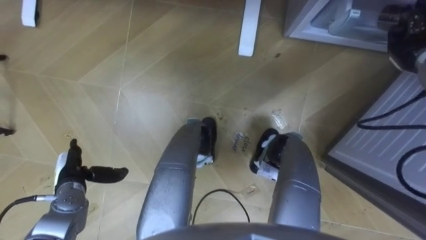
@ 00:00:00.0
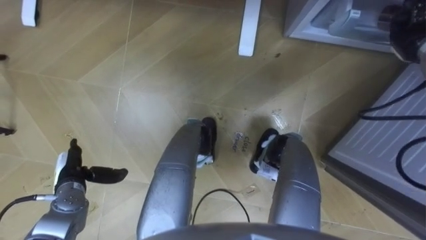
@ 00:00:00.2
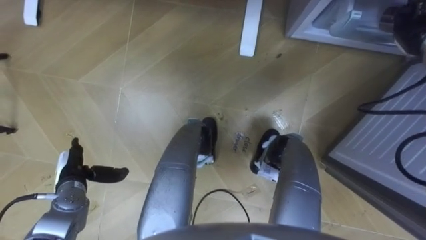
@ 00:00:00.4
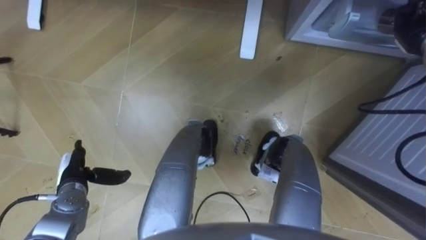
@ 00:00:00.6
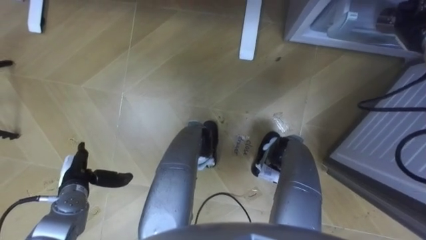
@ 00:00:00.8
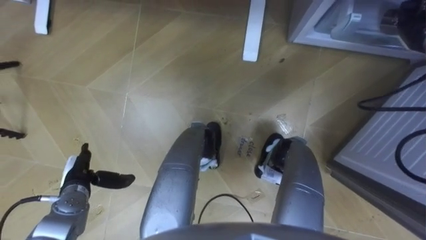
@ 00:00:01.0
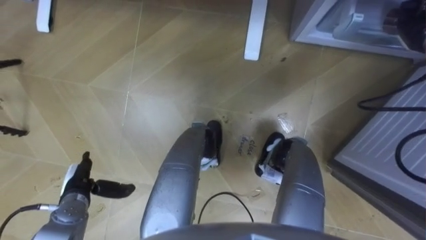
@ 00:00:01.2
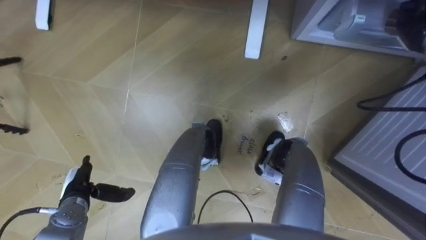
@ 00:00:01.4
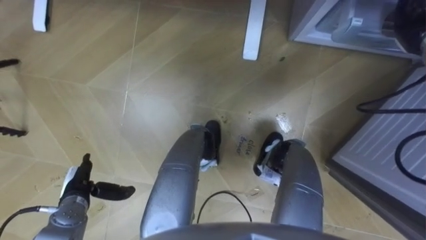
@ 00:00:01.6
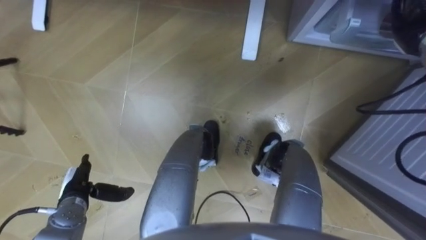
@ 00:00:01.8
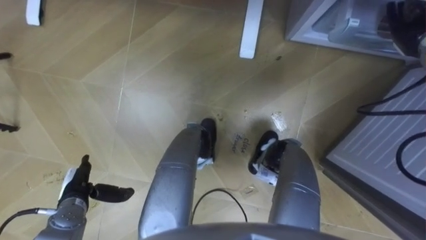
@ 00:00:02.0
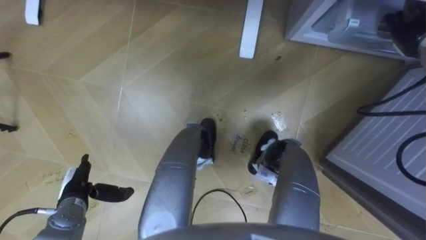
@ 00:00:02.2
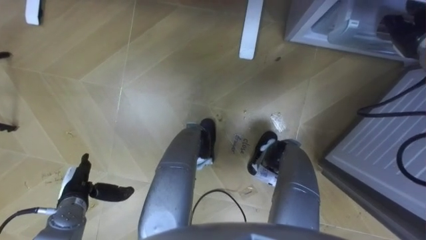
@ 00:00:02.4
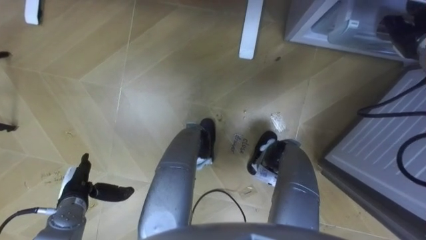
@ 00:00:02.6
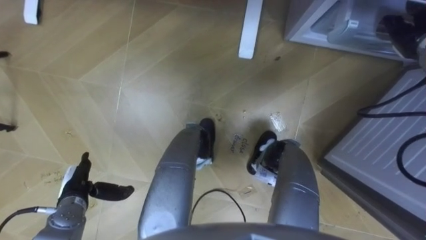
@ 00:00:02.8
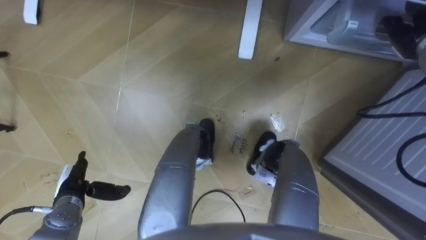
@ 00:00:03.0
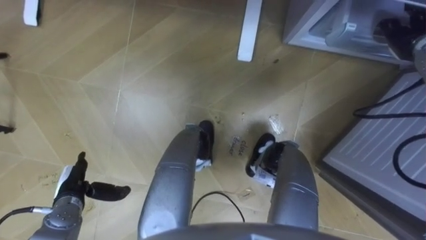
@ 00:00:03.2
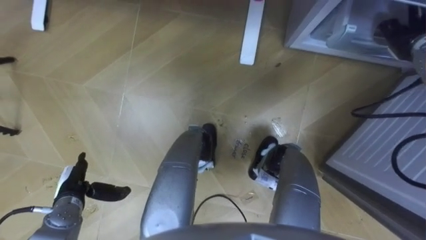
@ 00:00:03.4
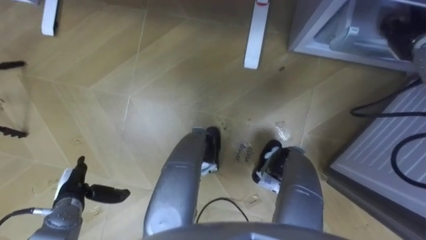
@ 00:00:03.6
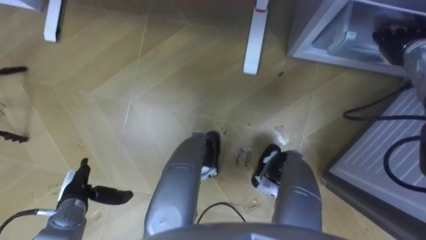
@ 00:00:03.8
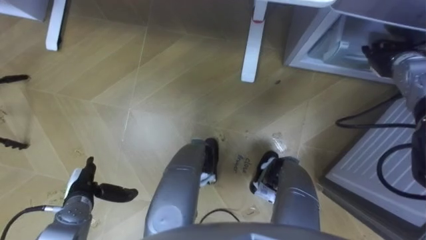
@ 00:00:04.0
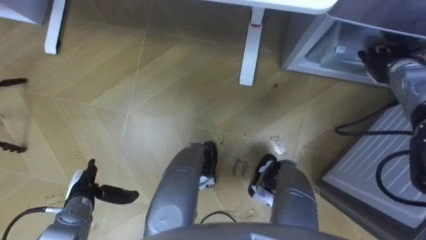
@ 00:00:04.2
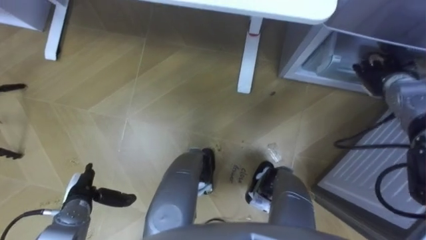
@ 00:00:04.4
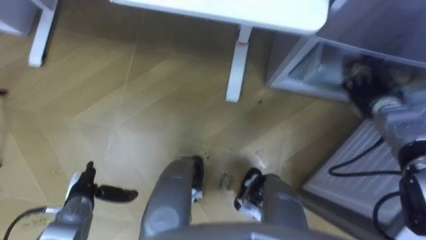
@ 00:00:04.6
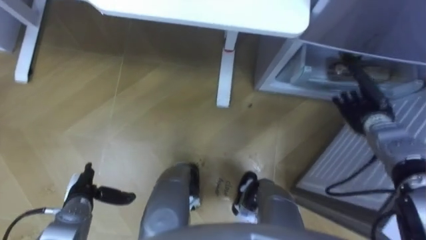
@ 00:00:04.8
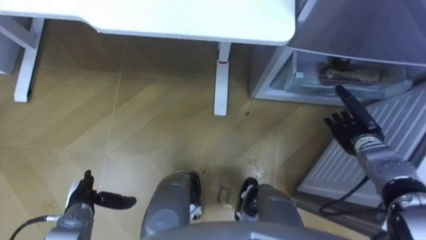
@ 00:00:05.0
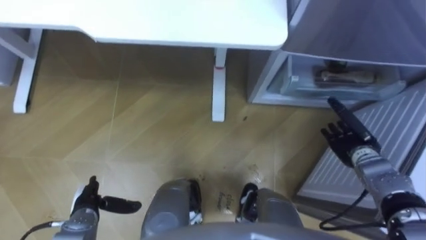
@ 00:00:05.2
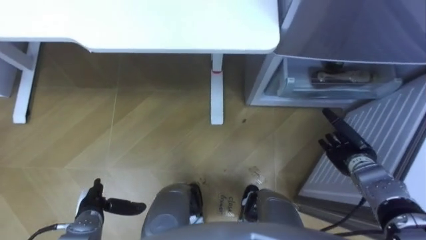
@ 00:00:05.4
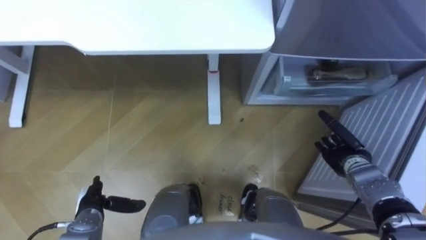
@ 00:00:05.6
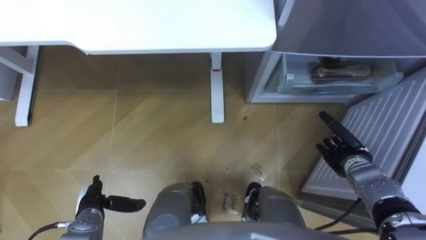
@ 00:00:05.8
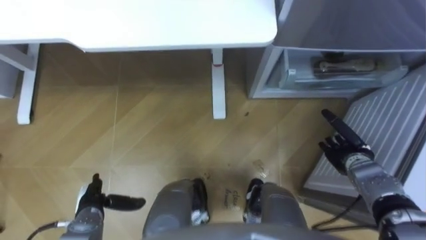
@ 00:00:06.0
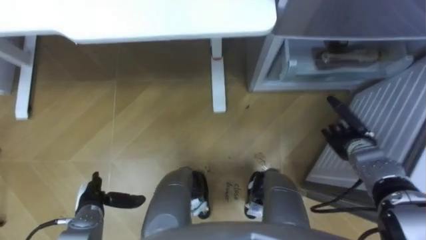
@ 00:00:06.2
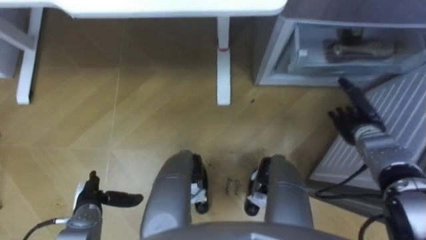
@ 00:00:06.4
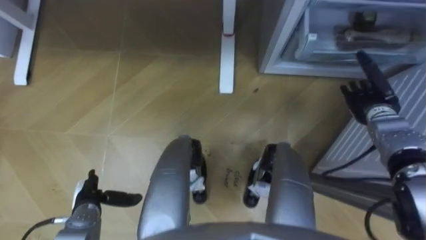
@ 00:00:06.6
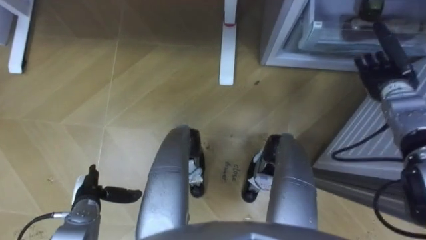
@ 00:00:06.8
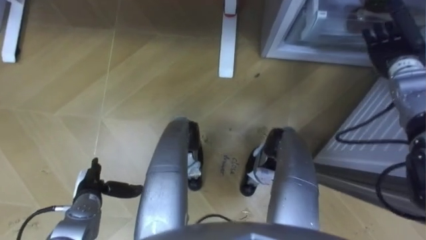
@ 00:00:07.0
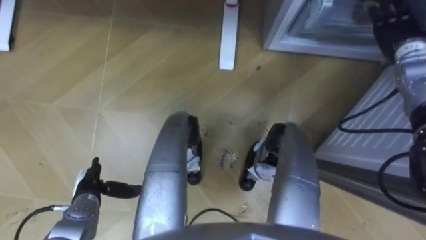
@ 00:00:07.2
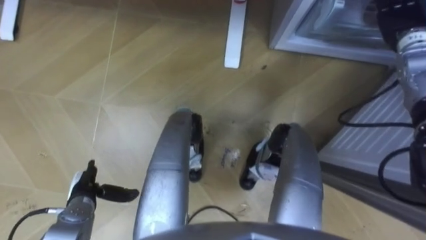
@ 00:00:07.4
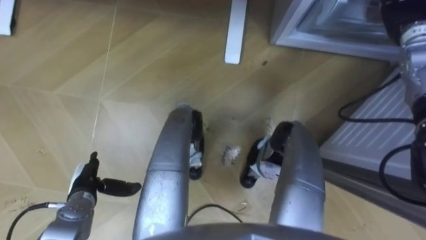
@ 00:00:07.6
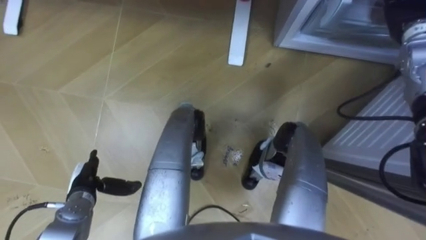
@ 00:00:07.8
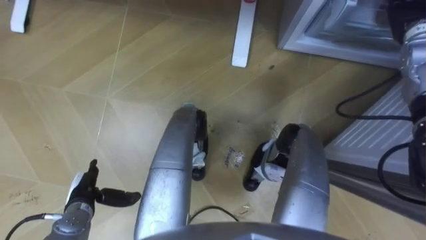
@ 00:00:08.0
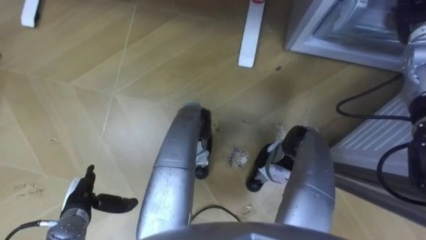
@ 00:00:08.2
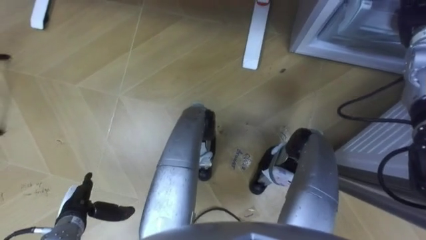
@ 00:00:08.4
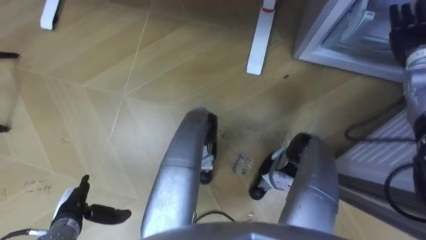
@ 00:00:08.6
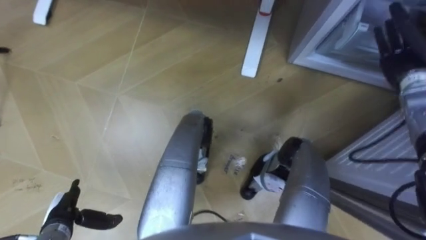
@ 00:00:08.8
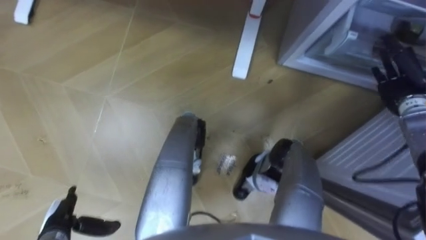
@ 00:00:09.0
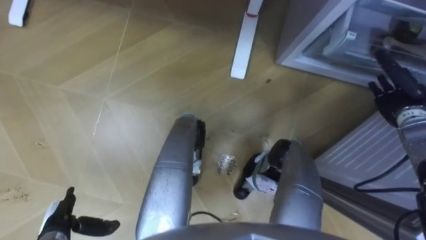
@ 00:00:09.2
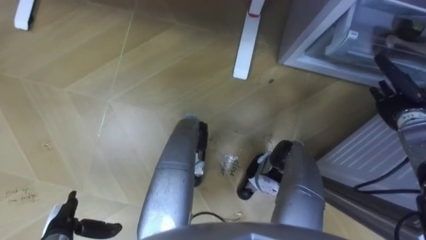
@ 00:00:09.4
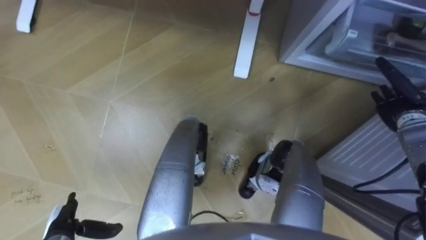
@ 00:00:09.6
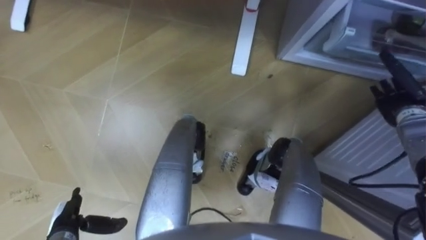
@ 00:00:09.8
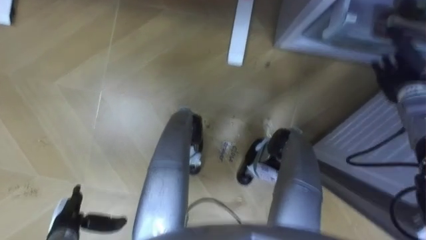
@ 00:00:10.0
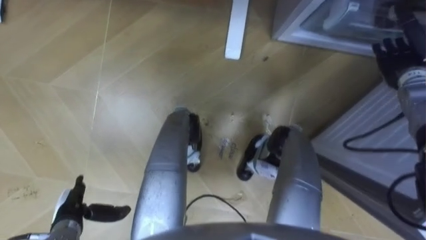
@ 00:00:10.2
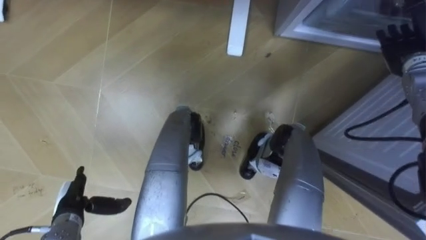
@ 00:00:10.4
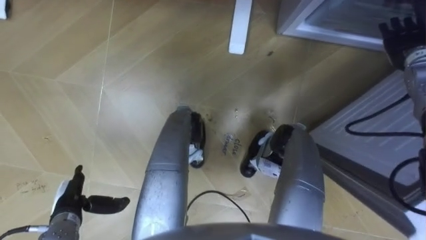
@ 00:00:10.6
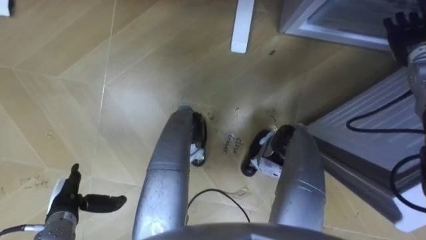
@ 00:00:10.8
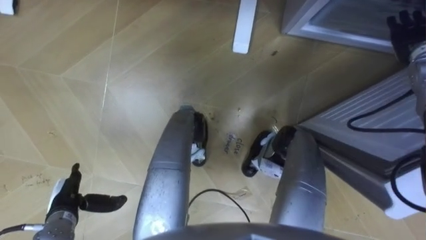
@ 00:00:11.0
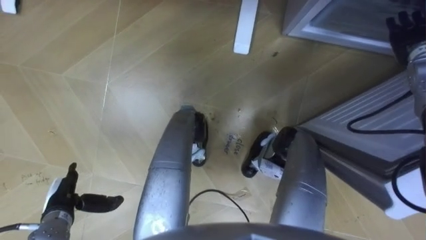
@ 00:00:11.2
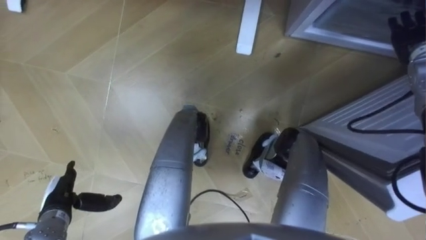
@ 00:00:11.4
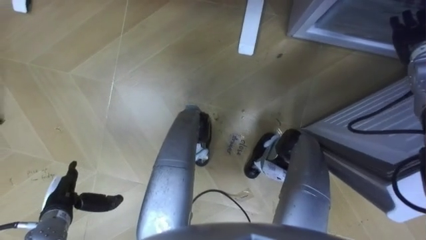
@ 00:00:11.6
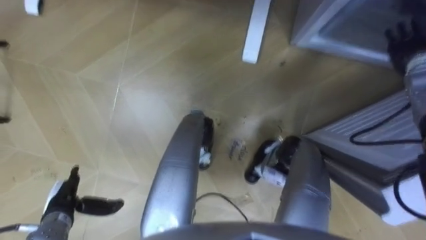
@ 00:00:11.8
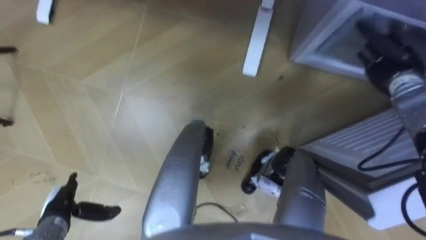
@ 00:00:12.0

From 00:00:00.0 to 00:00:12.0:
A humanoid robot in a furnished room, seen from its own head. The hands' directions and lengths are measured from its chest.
Task of the whole recording: Place the drink on the table on the bottom shelf of the refrigerator, then close the drawer and the refrigerator door.
From 00:00:01.6 to 00:00:03.0: The right hand opens.
From 00:00:03.0 to 00:00:04.4: The right hand moves downward, approximately 10 cm.
From 00:00:04.4 to 00:00:06.0: The right hand is displaced backward and downward by roughly 20 cm.
From 00:00:06.0 to 00:00:07.6: The right hand shifts about 30 cm upward and forward.
From 00:00:07.6 to 00:00:09.0: The right hand moves downward and backward, approximately 15 cm; the left hand heads backward, covering roughly 10 cm.
From 00:00:09.0 to 00:00:10.4: The right hand is displaced upward and forward by some 10 cm.

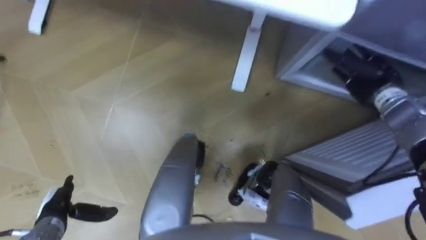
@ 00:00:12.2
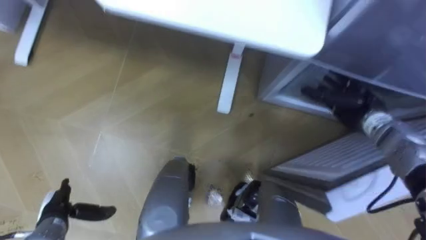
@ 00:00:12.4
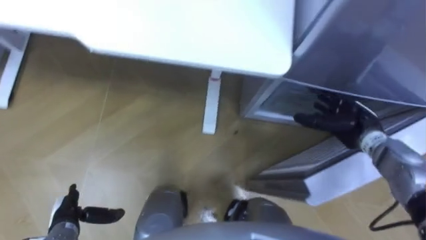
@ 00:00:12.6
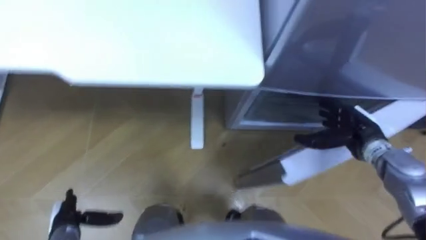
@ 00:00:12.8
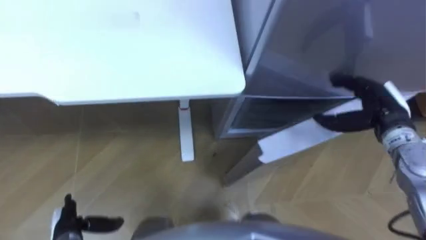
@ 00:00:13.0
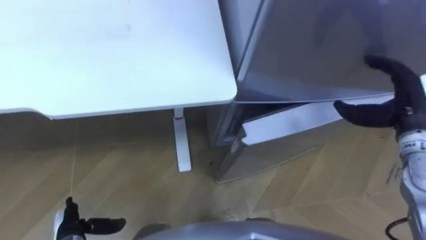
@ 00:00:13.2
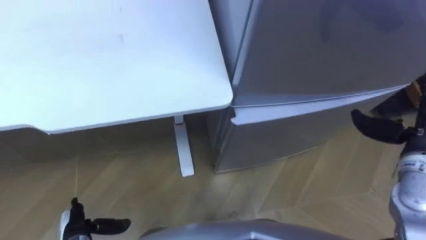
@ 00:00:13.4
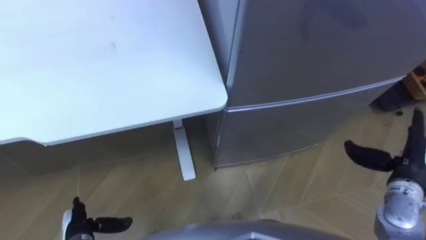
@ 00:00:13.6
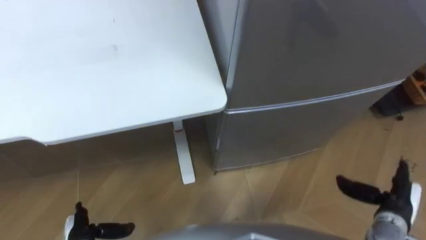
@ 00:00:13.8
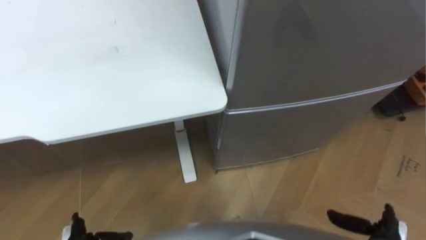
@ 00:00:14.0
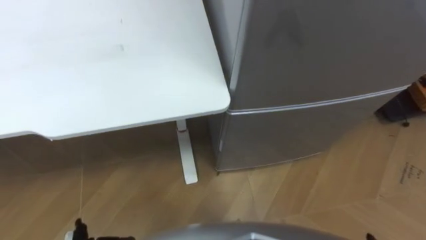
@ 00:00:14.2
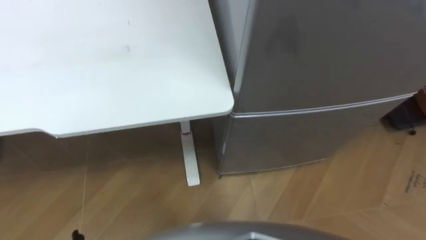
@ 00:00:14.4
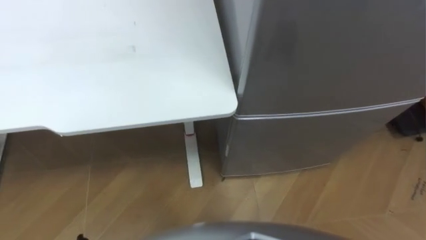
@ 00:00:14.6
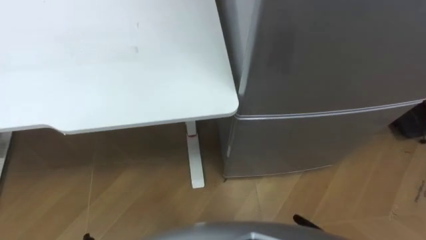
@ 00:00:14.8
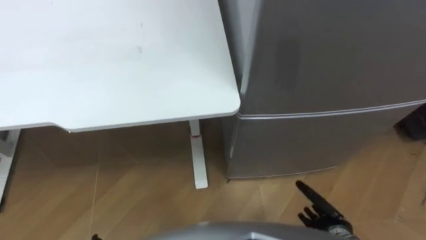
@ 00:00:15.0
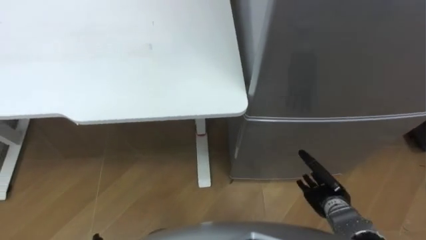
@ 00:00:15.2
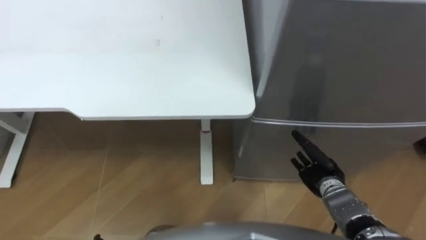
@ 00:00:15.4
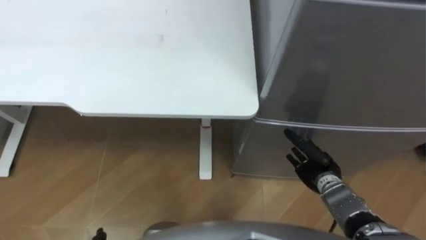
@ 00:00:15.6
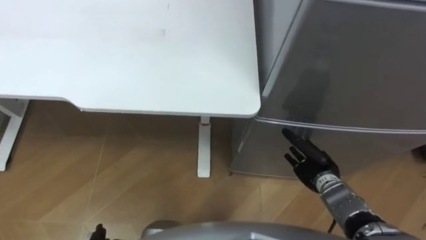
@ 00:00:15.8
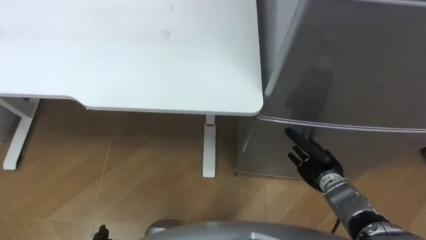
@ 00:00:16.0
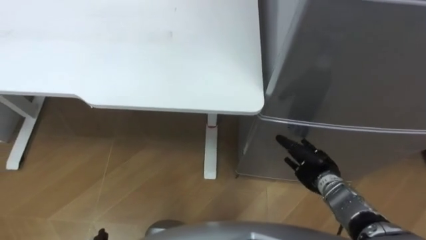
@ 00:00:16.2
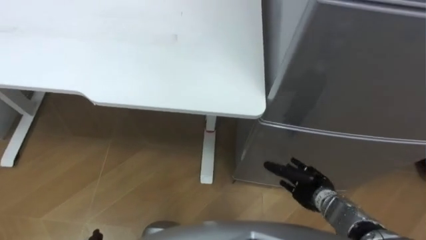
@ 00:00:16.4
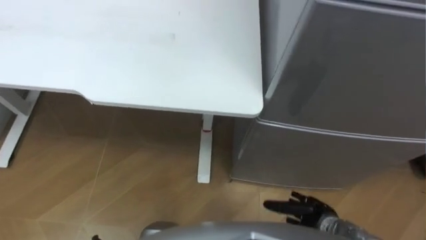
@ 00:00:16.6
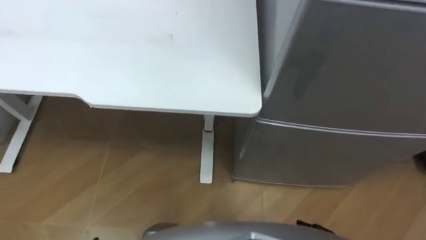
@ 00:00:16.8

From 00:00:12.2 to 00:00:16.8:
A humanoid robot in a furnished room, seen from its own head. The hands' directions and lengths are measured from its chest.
Task of the whole recording: Place the drink on the table on the bottom shelf of the refrigerator, then close the drawer and the refrigerator door.
From 00:00:12.2 to 00:00:13.8: The right hand heads backward, covering roughly 25 cm. Meanwhile the left hand changes place by some 5 cm.
